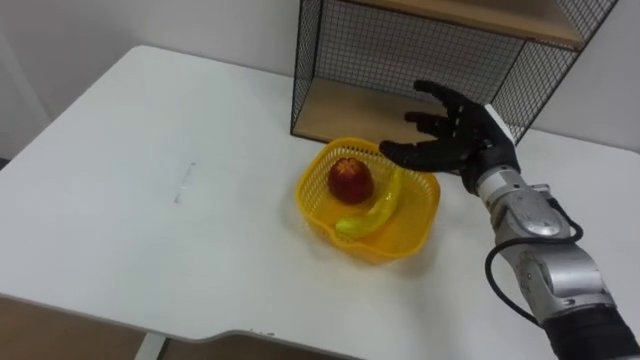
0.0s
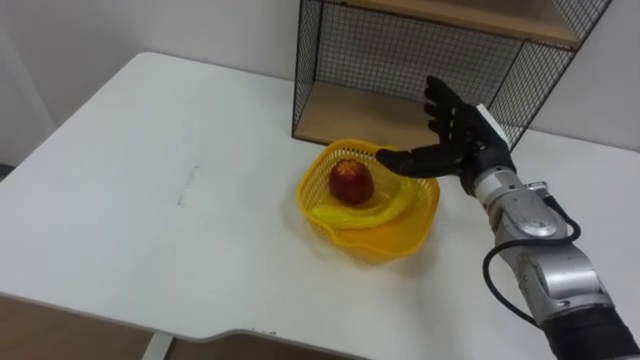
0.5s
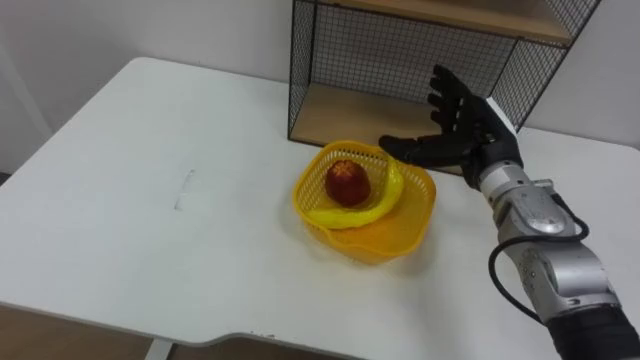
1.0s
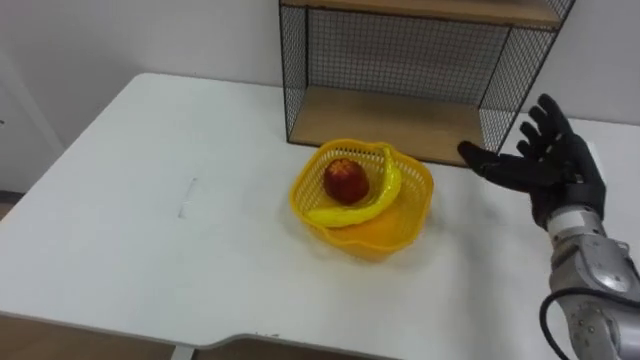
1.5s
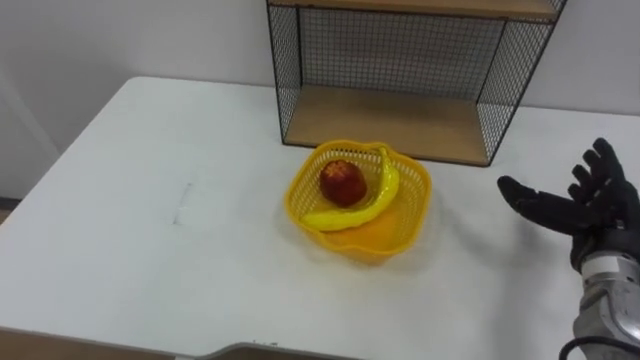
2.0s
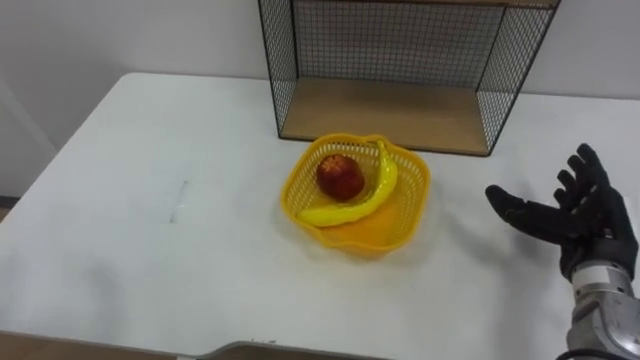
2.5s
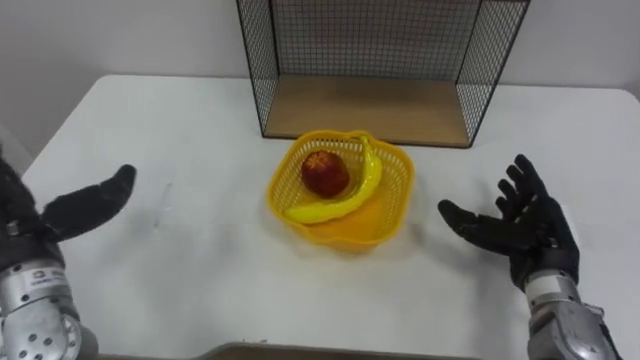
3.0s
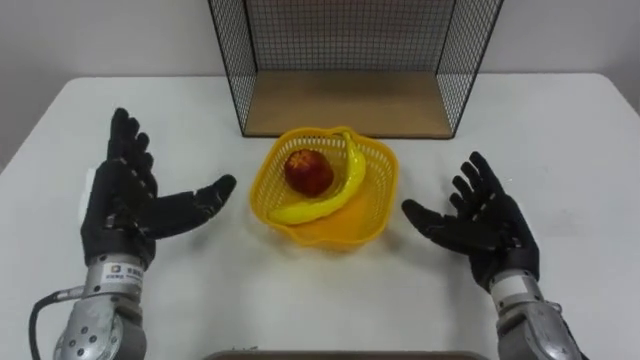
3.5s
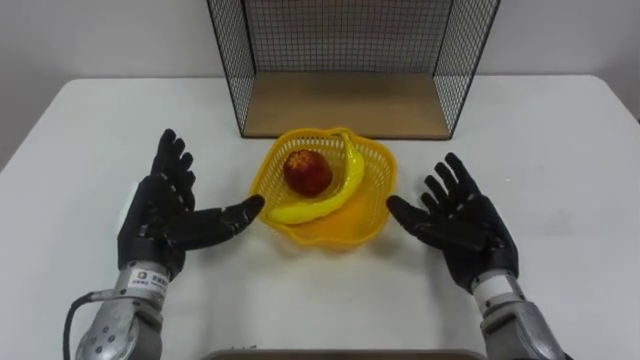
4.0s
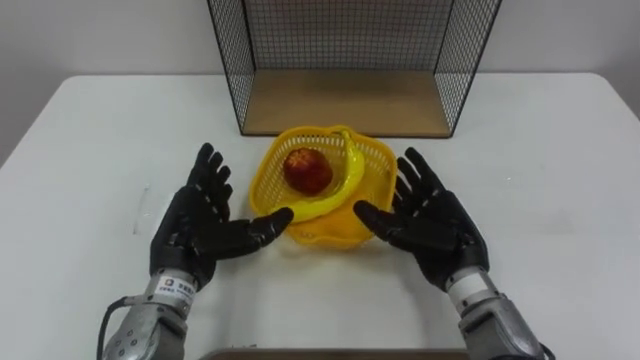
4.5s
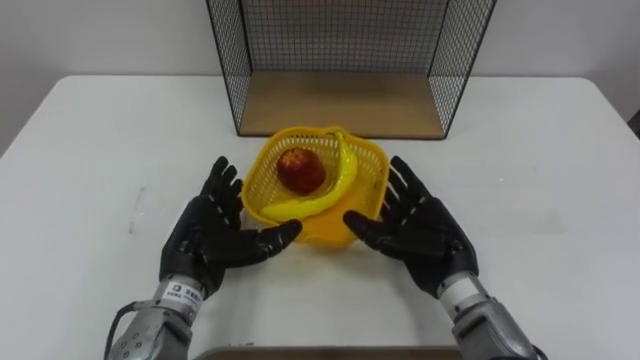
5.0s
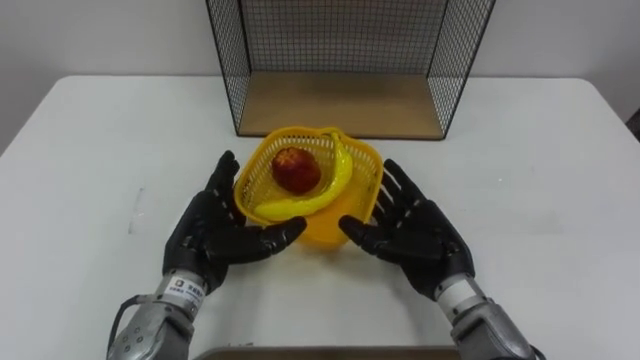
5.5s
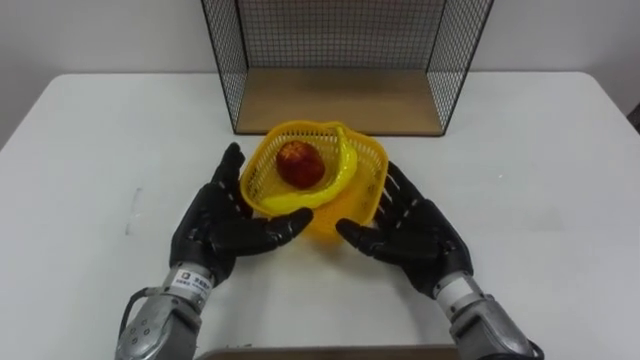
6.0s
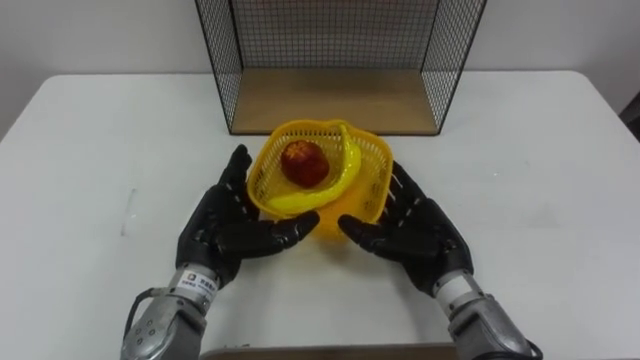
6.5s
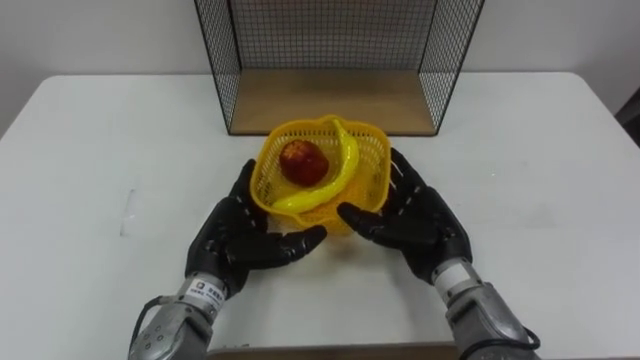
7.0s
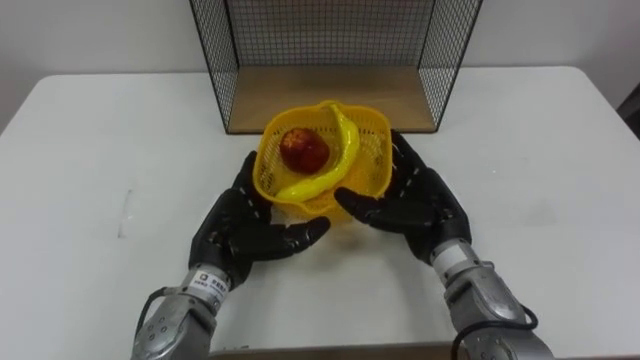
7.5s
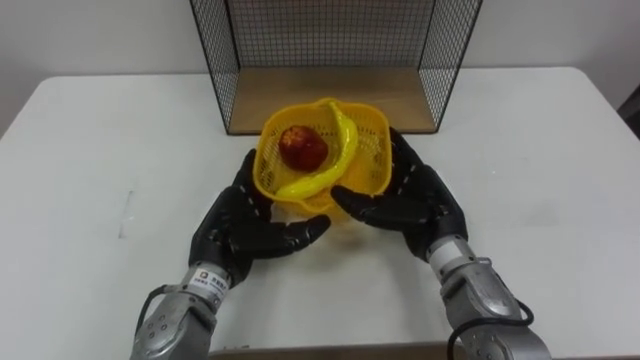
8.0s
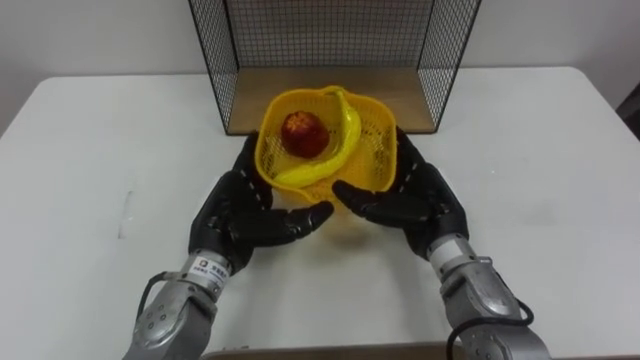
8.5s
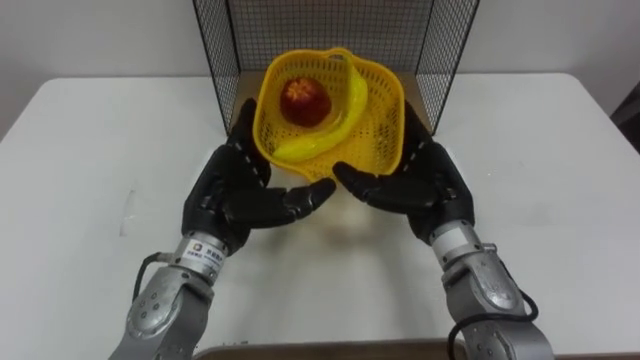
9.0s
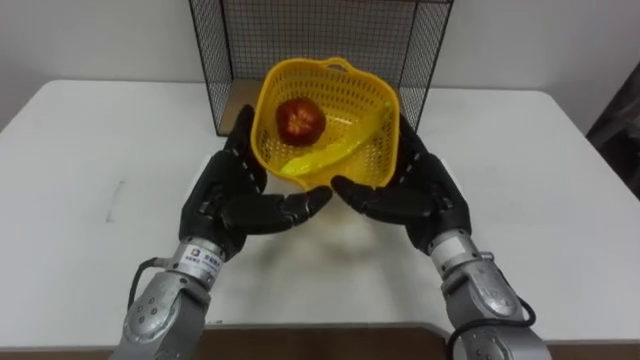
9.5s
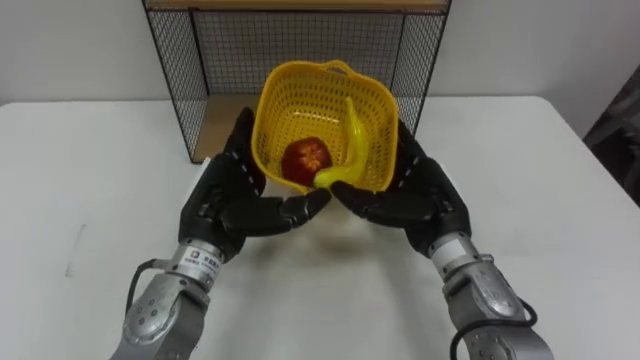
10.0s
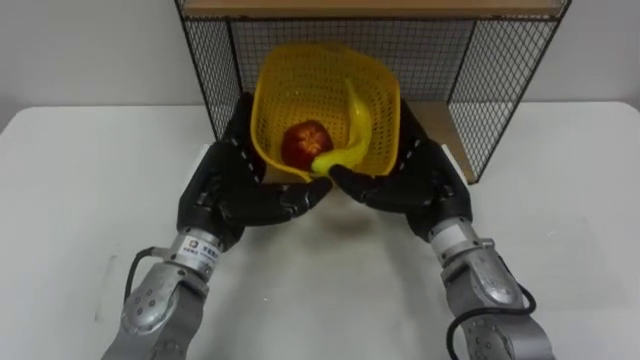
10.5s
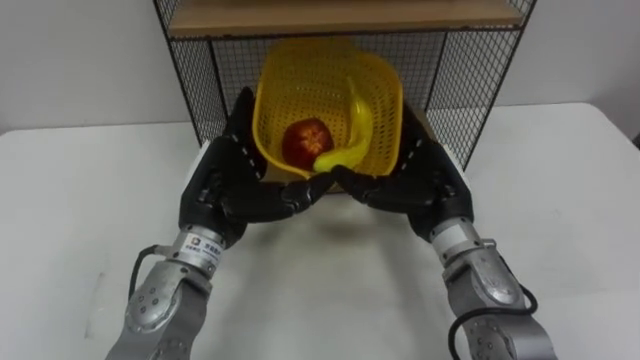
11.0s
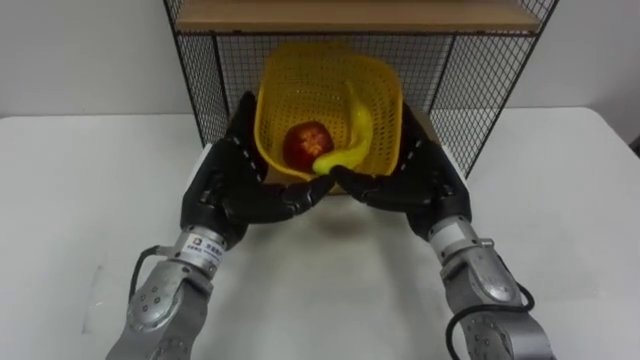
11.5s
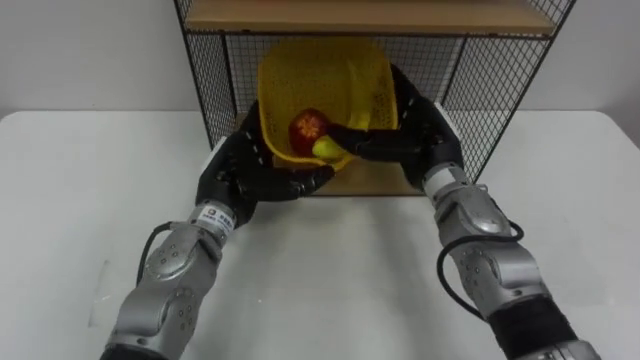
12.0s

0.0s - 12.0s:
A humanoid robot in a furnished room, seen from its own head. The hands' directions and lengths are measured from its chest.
Task of the whole recording: Put the fruit on the table into the basket, then place the basket on the shelf.
0.0s - 2.0s: The right hand goes some 15 cm to the right and backward.
2.0s - 4.0s: The right hand heads to the left, covering about 15 cm.
4.0s - 6.0s: The left hand goes approximately 5 cm to the right. The right hand goes approximately 5 cm to the left.
6.0s - 8.0s: The hands make only small movements.
10.0s - 12.0s: The right hand heads forward, covering some 5 cm. The left hand changes place by approximately 5 cm.

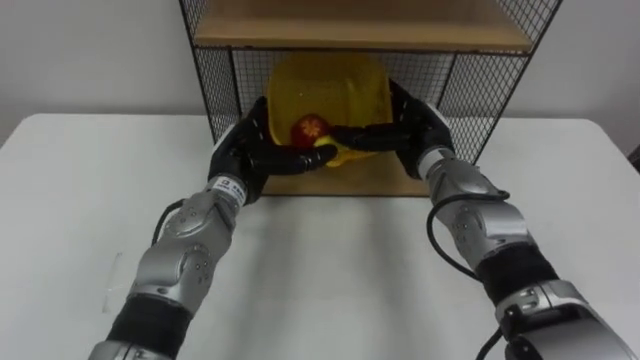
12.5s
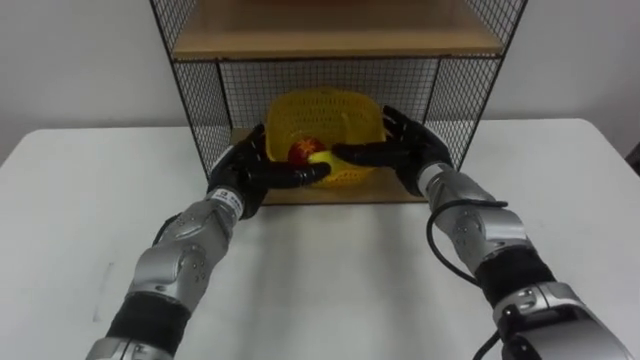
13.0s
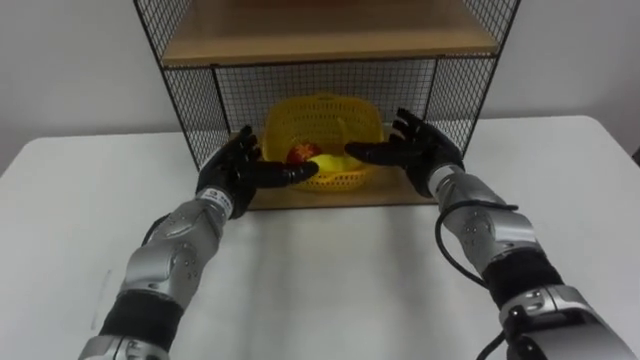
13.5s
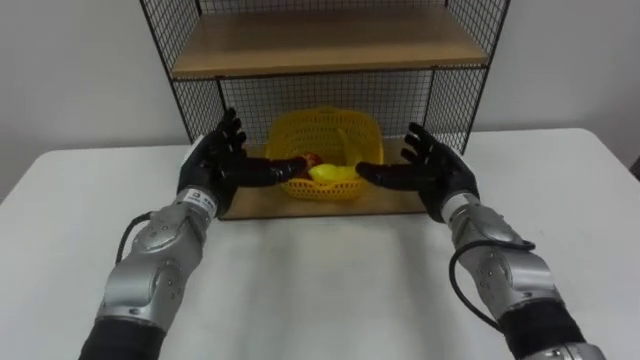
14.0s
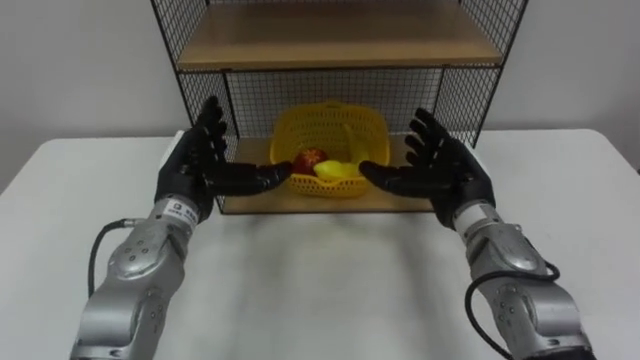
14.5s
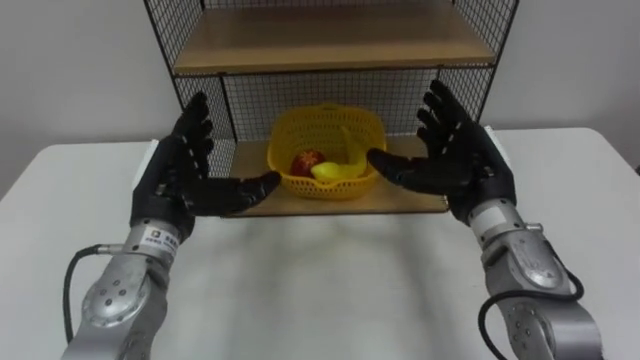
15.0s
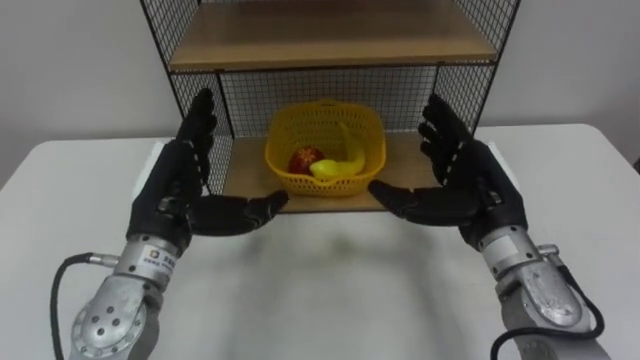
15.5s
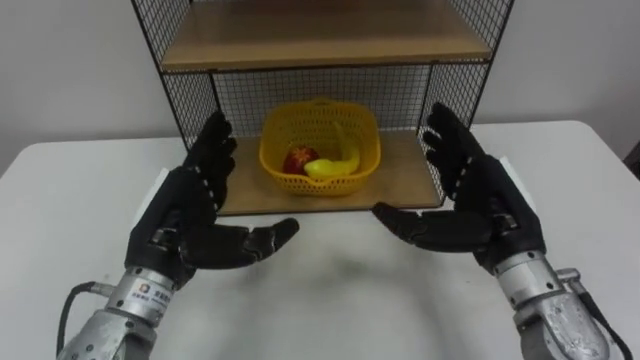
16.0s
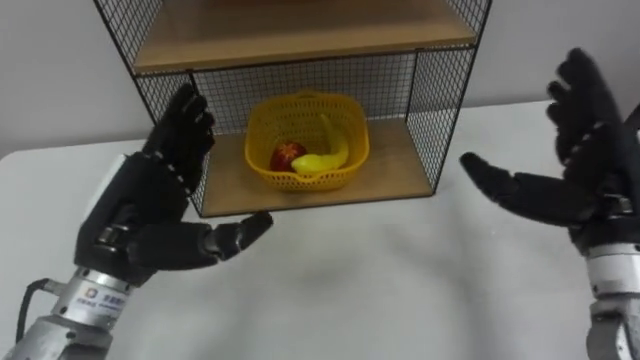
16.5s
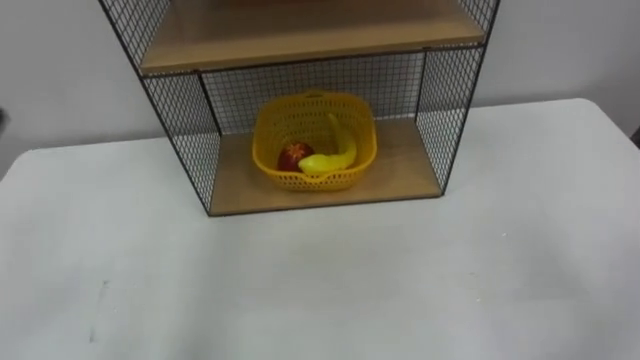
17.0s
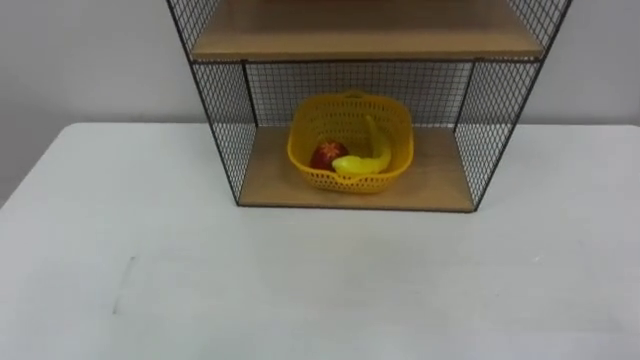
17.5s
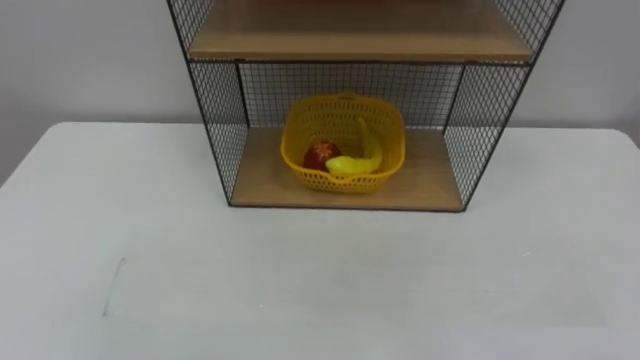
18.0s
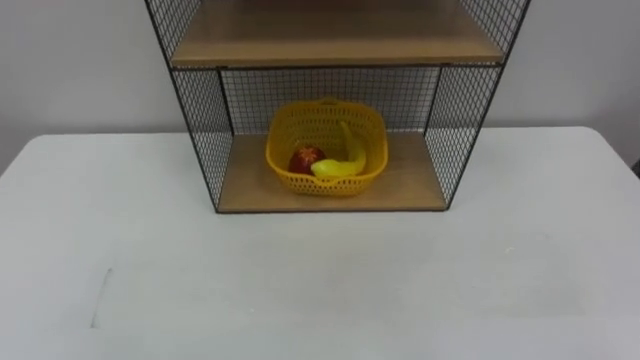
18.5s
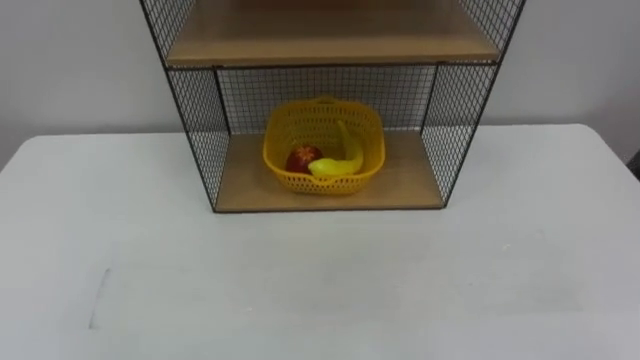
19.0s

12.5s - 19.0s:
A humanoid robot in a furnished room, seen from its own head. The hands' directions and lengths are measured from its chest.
Task of the whole recording: Put the fruit on the table into the basket, then place the basket on the shelf.
12.5s - 14.5s: The left hand moves to the left, some 5 cm; the right hand moves backward, about 5 cm.

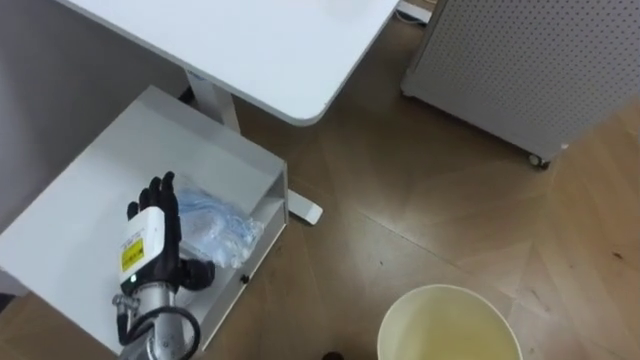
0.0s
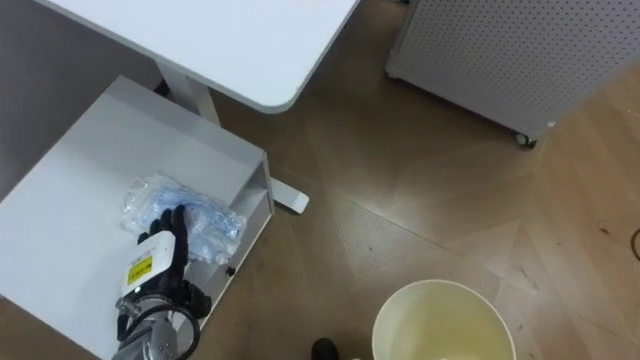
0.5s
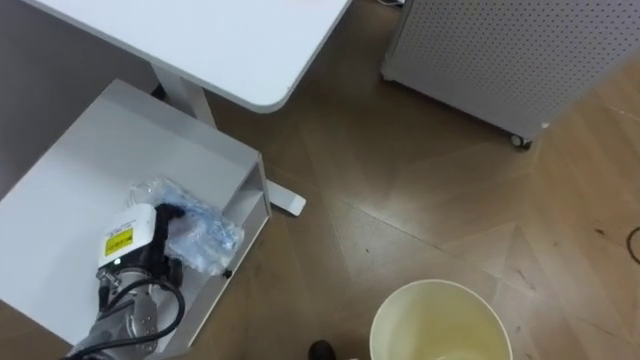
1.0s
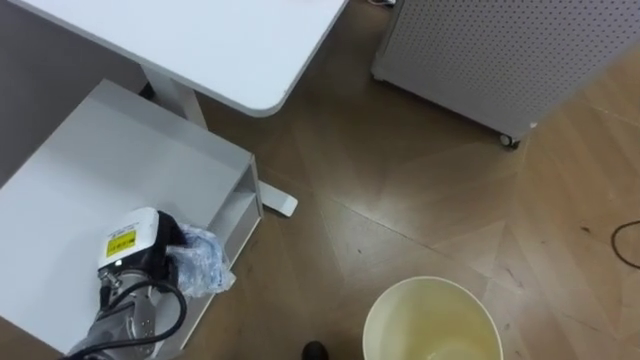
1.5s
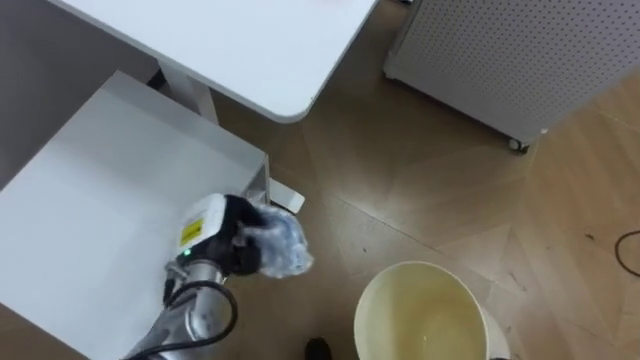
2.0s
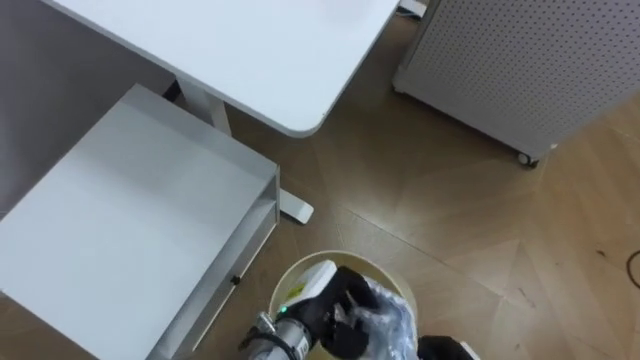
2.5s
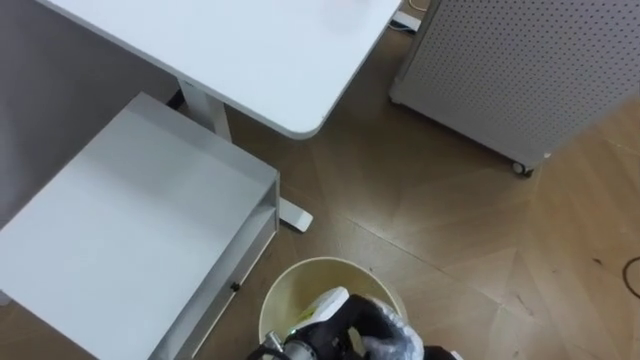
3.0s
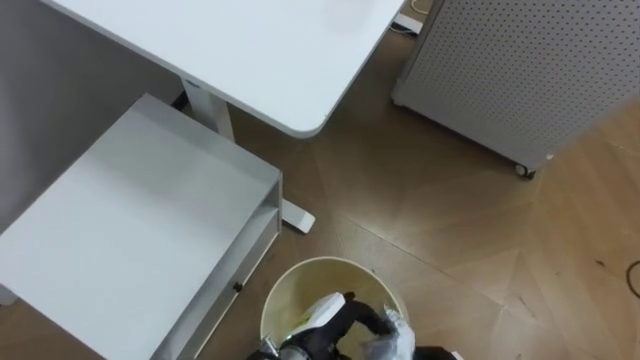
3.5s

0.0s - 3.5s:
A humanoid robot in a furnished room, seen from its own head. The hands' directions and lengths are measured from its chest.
Task of the whole recording: Pick up the light blue package, the candy box, and the dark blue package separately, and put them into the trash can held in your right hand.
0.0s - 2.0s: The left hand moves to the right, approximately 5 cm, and closes up.
2.0s - 3.5s: The left hand moves to the right, backward and downward, about 20 cm, and opens its fingers.
